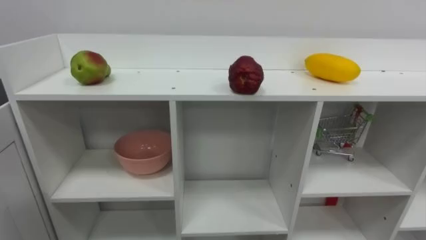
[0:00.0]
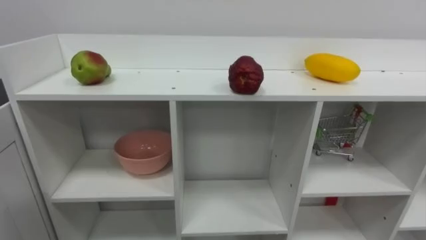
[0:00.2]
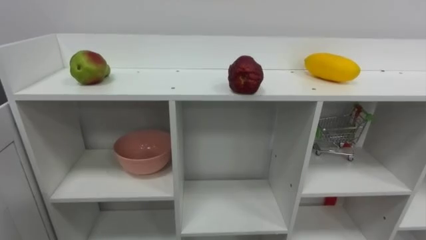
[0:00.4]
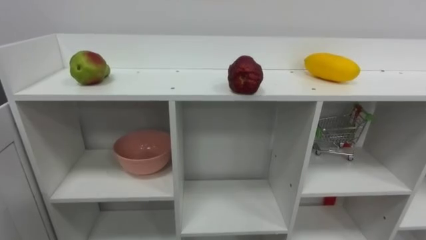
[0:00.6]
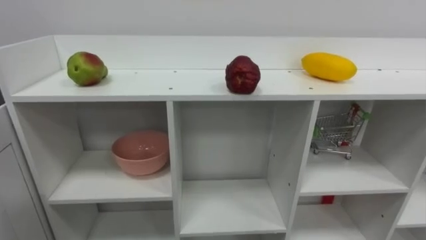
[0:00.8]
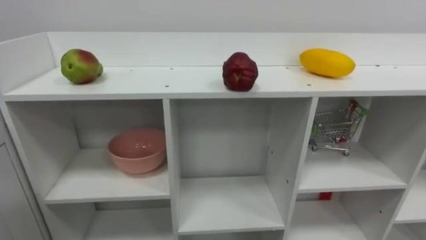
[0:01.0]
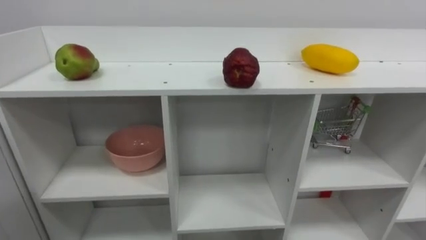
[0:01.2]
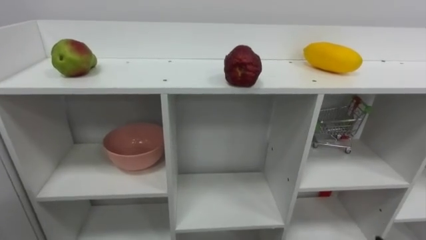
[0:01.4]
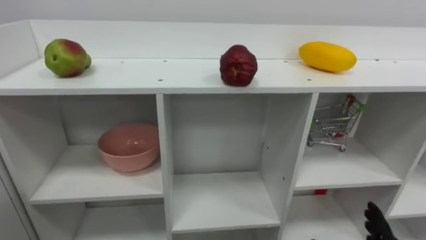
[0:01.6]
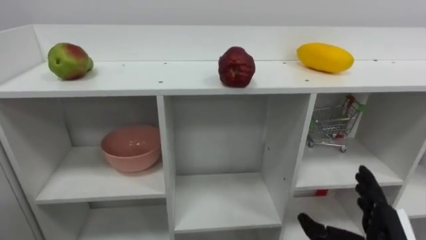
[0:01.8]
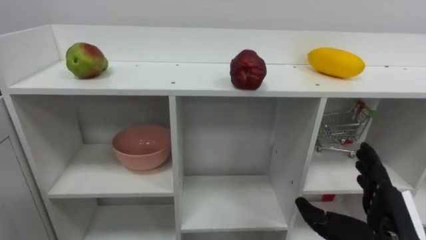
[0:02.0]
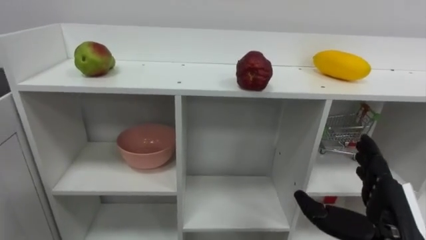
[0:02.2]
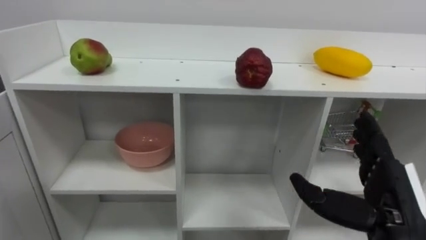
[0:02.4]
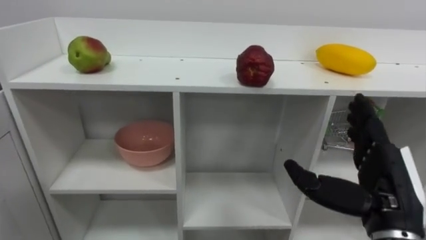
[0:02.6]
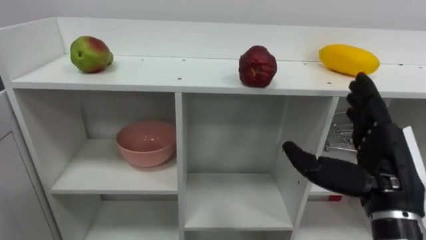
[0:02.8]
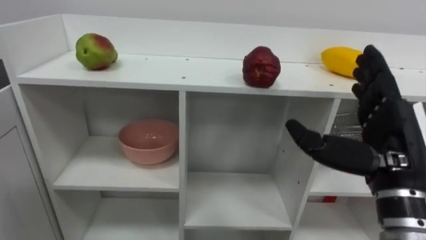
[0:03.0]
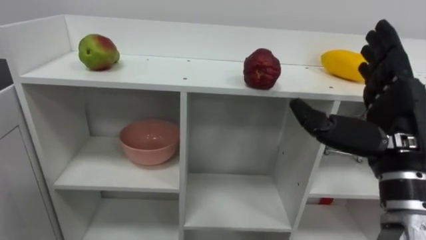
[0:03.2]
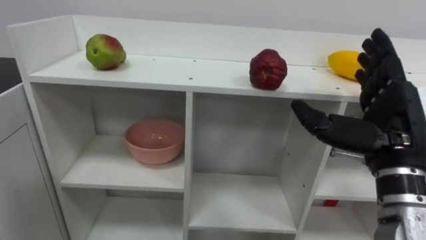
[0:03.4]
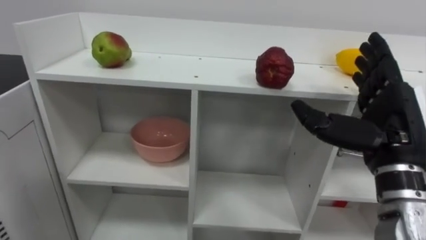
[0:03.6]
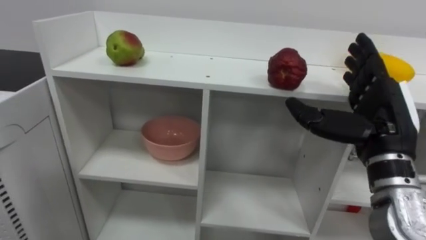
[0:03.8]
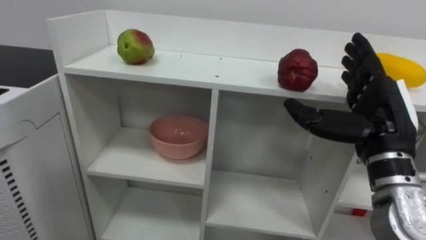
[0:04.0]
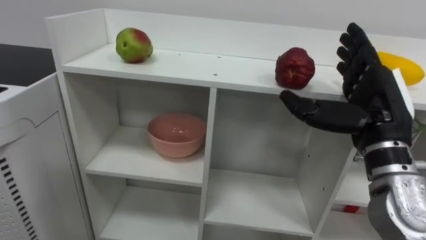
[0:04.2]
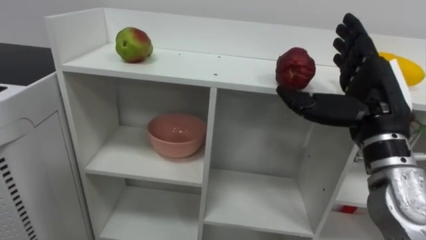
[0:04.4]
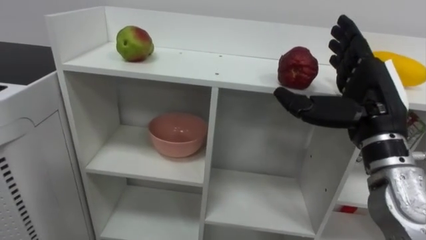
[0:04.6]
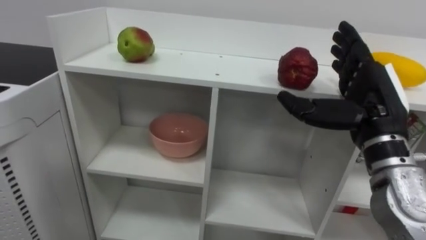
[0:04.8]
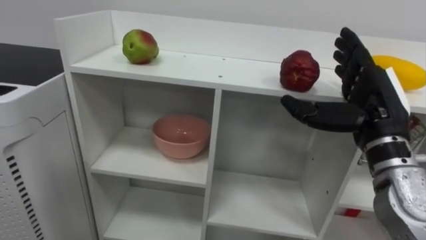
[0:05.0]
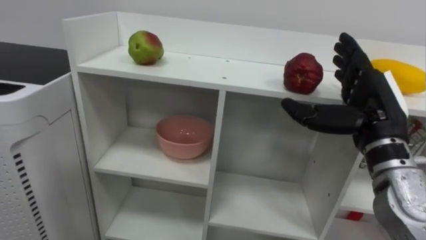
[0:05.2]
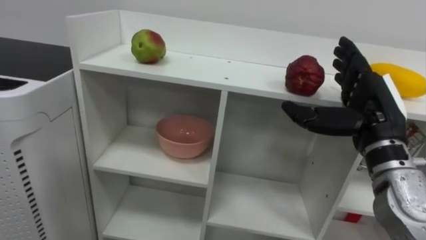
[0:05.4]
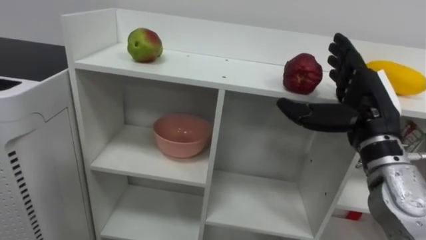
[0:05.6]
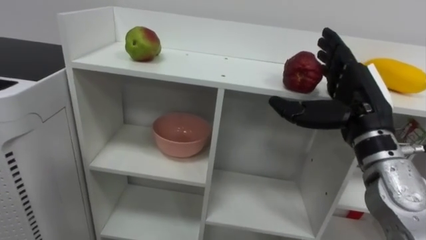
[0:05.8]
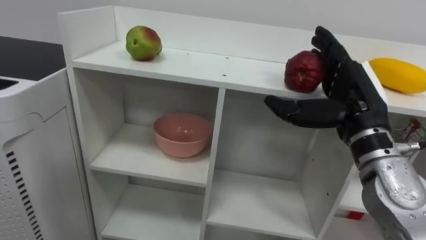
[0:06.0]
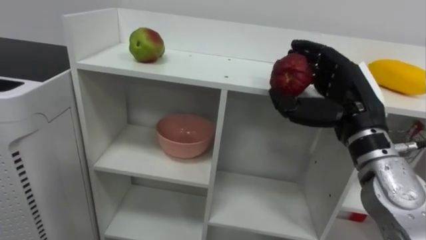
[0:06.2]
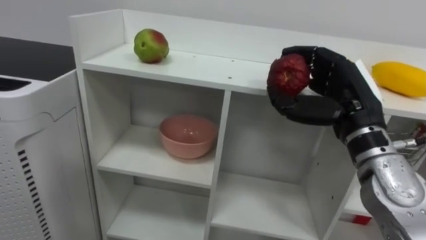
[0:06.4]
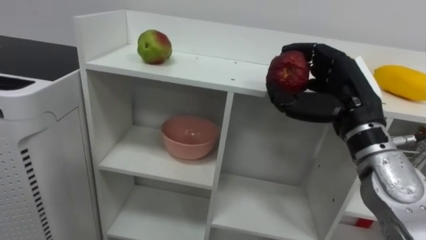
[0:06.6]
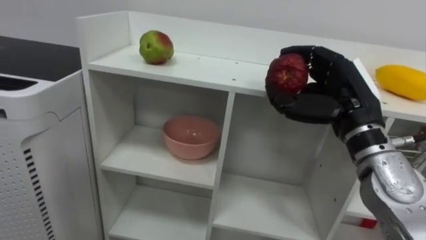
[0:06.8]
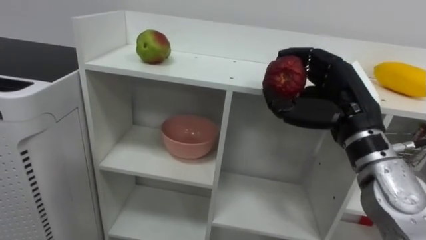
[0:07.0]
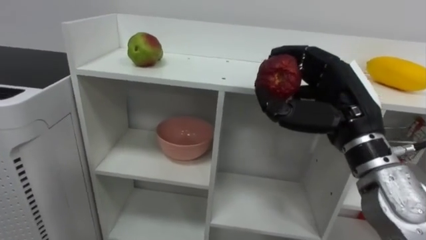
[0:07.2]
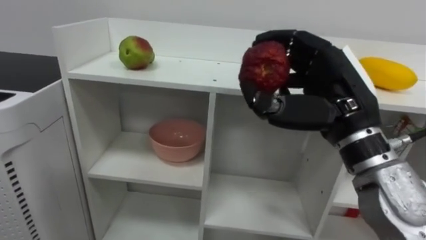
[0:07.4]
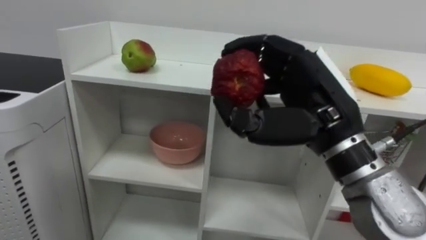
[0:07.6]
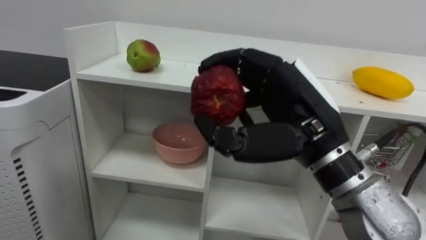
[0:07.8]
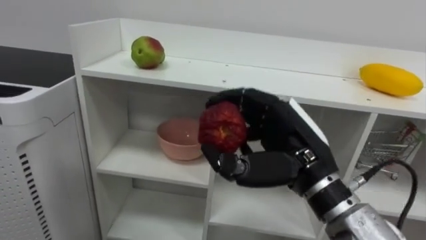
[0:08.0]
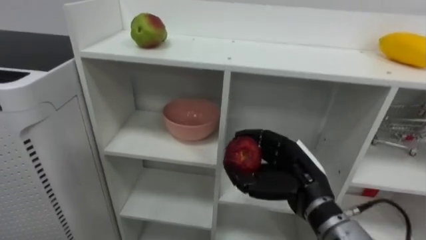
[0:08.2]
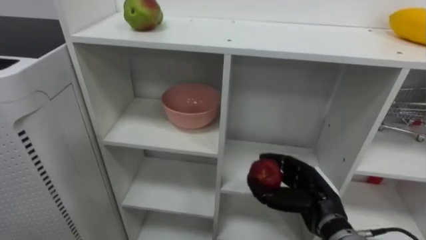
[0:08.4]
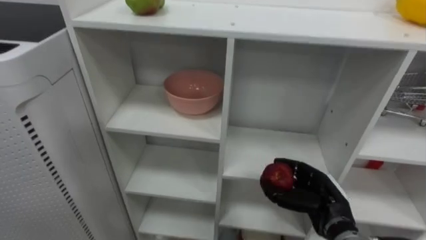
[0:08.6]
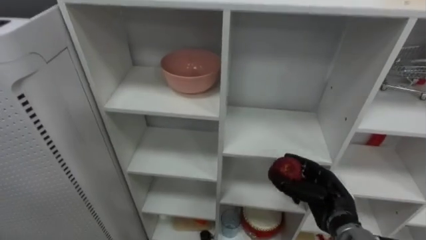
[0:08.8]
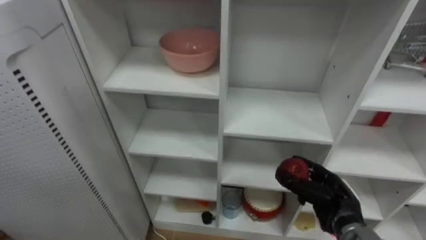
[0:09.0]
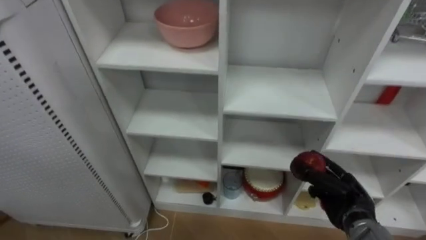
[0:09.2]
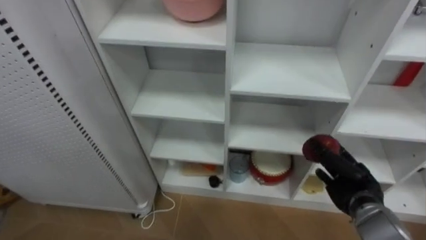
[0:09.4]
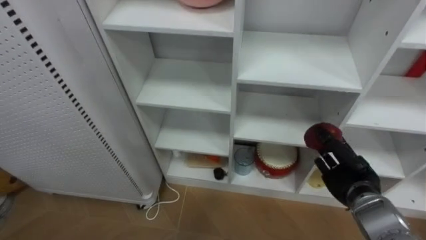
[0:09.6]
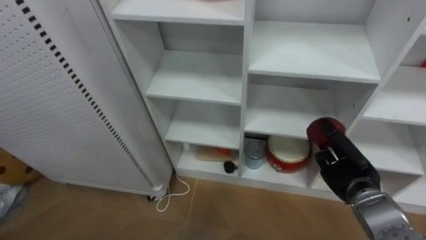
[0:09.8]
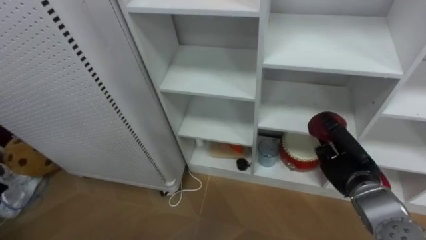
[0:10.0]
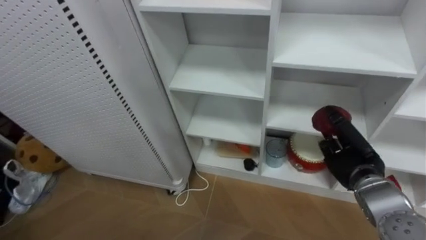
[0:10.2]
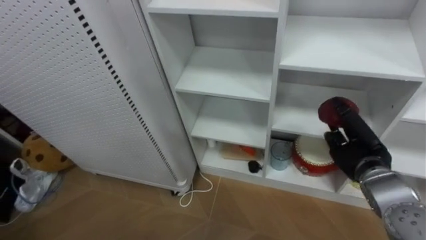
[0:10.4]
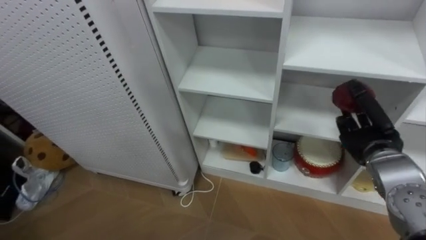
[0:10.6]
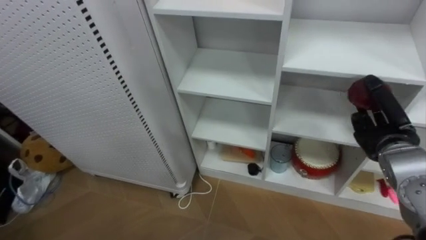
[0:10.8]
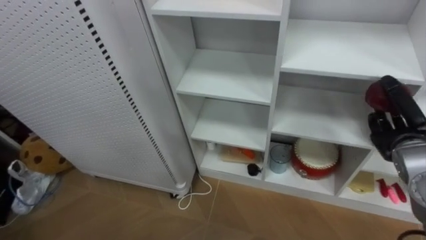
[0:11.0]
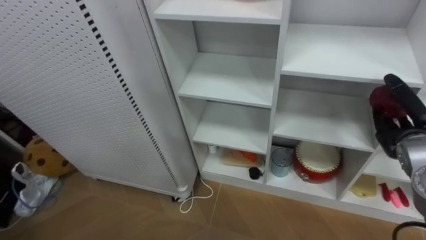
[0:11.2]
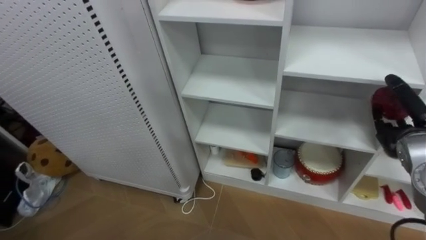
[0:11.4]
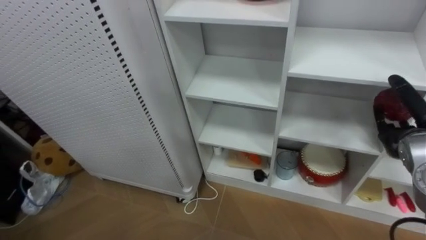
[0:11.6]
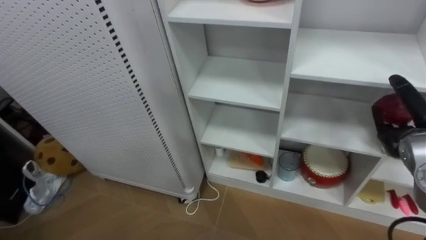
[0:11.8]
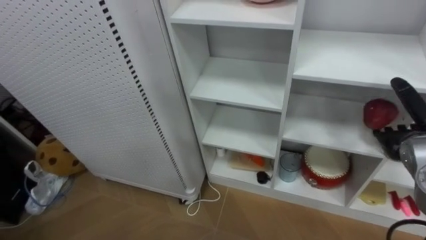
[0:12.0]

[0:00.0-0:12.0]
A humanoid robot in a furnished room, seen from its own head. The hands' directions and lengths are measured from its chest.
Task of the whole recording: Put the apple in the cell in the second column from the left and the second row from the top.
0:03.0 to 0:04.4: The right hand goes some 5 cm forward.
0:06.0 to 0:07.6: The right hand is displaced to the left and backward by roughly 10 cm, and closes.
0:07.6 to 0:09.0: The right hand is displaced downward by roughly 25 cm.
0:09.0 to 0:10.4: The right hand travels upward by about 10 cm.
0:10.4 to 0:12.0: The right hand heads to the right, covering roughly 5 cm, and opens its fingers.

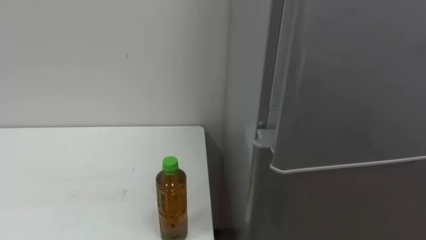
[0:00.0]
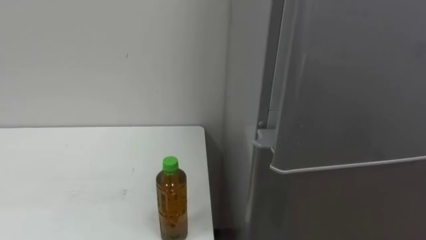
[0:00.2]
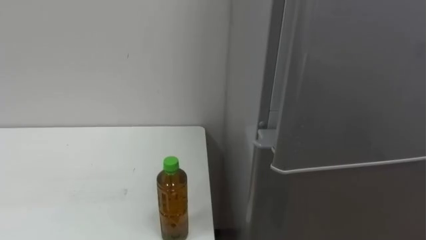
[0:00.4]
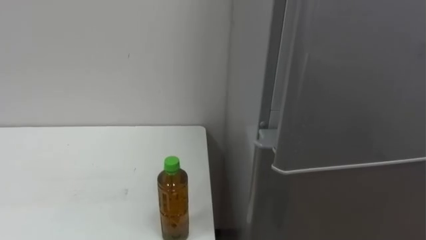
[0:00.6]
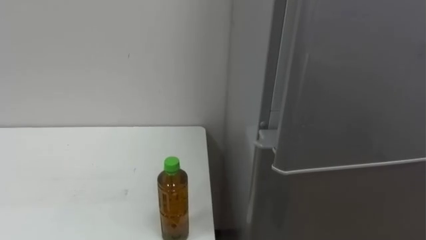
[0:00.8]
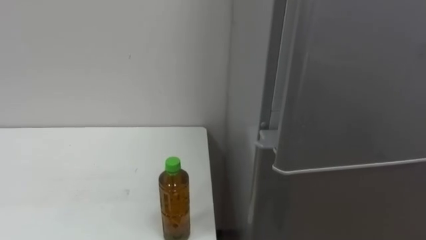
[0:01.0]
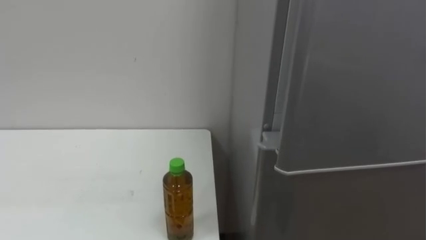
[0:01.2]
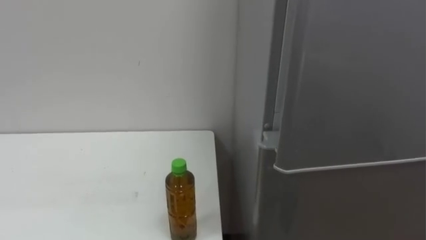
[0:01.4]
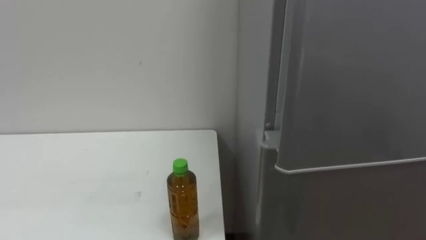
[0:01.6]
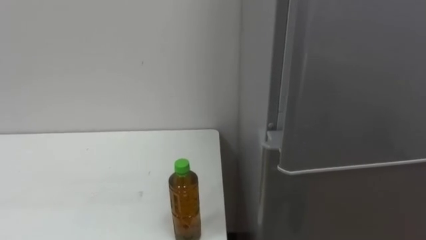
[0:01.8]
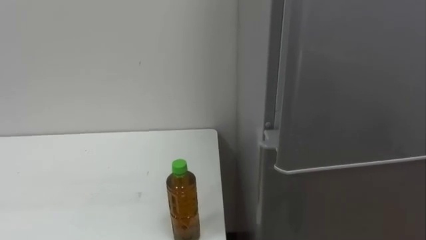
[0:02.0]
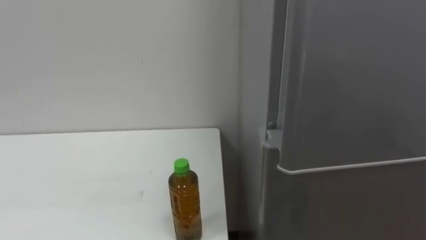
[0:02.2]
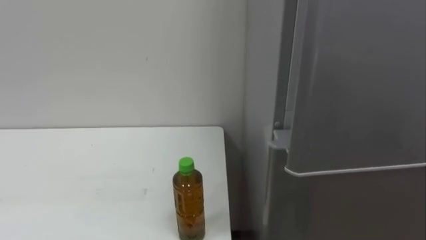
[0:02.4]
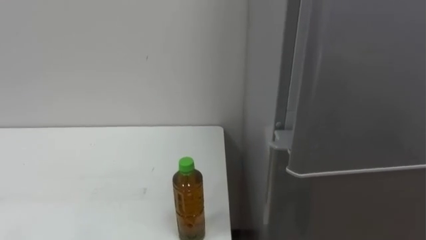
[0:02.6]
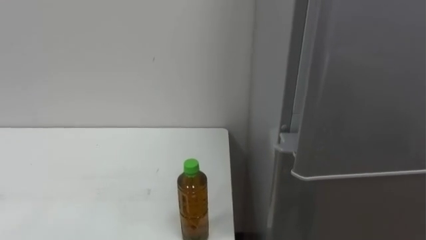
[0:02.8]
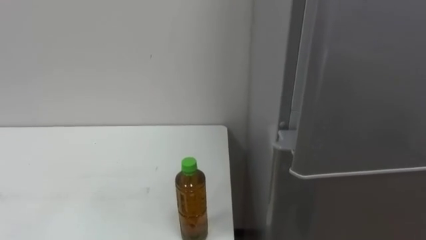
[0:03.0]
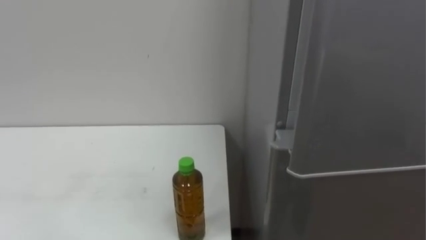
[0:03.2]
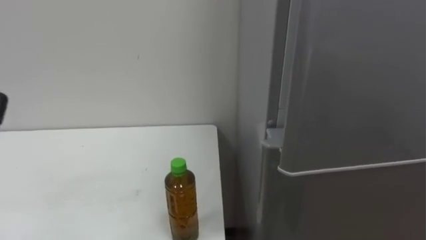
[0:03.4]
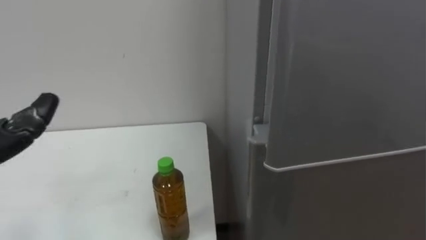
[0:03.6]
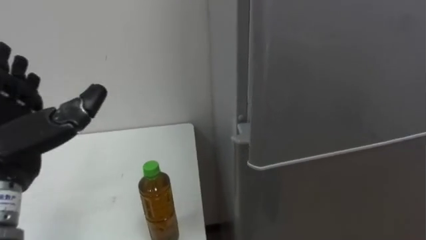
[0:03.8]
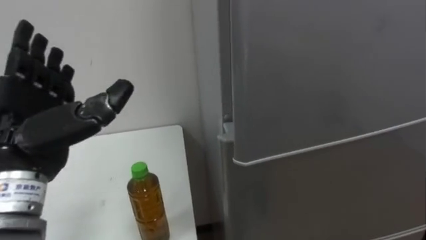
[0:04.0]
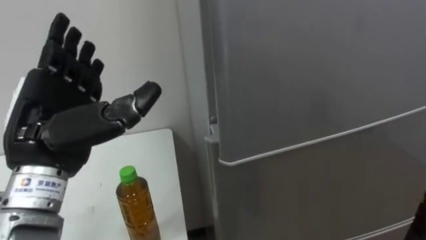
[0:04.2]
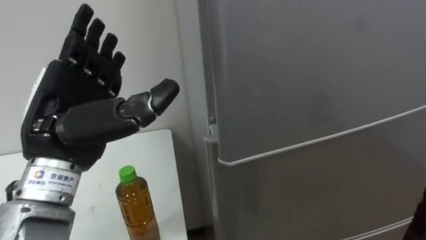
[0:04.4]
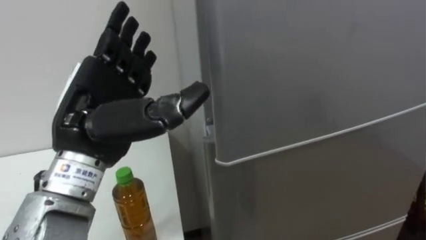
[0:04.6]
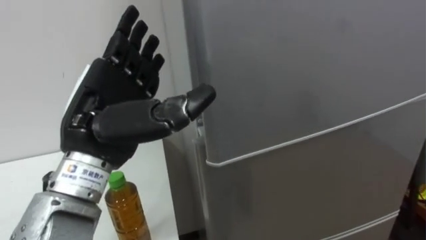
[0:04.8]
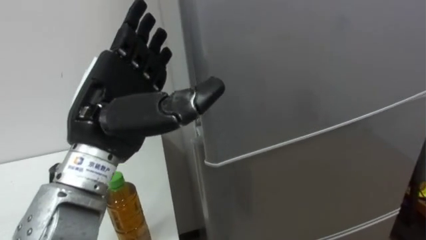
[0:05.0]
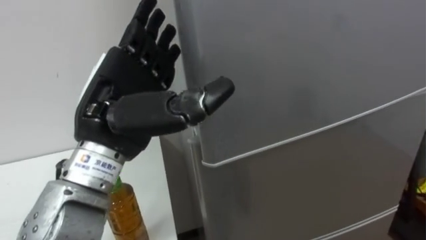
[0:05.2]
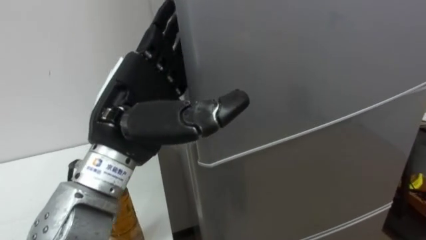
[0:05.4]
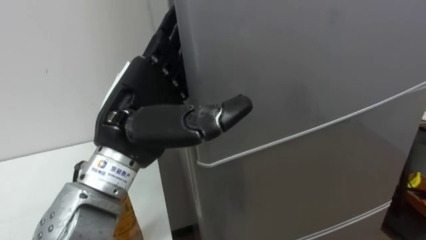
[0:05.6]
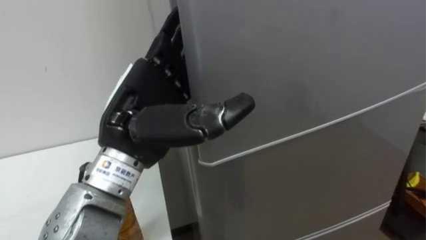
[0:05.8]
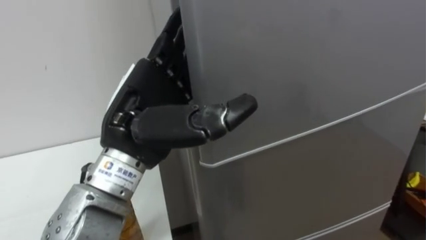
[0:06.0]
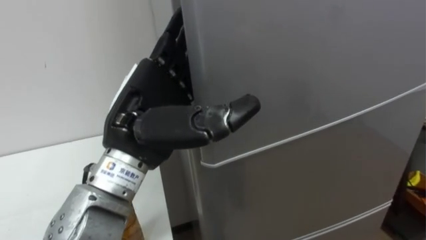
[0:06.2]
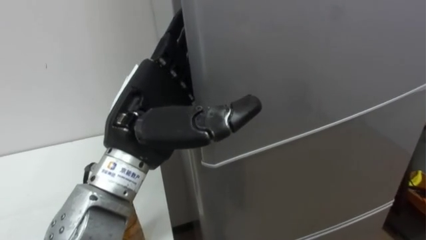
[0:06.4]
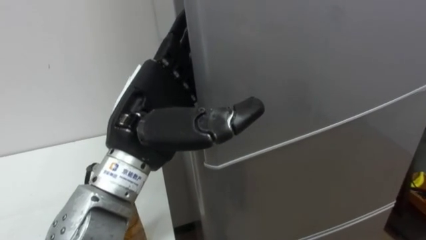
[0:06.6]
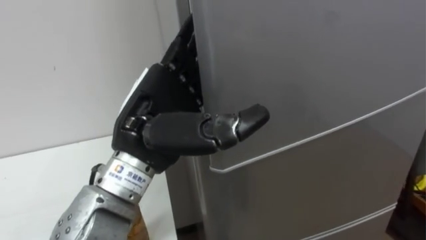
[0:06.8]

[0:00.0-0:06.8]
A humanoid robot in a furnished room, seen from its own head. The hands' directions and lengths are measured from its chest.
Task of the whole recording: Open the upper refrigerator door, put the drink from the table into the refrigerator, and then close the refrigerator door.
0:04.0 to 0:05.4: The left hand is displaced to the right by about 10 cm.
